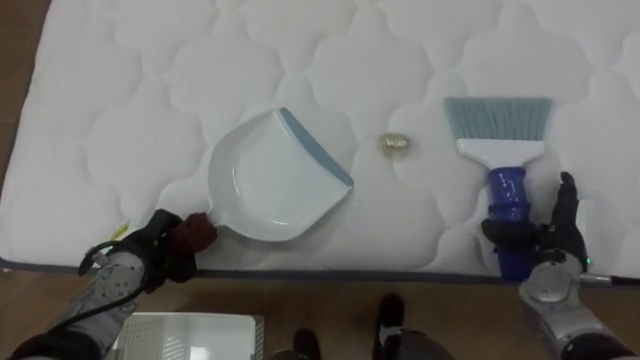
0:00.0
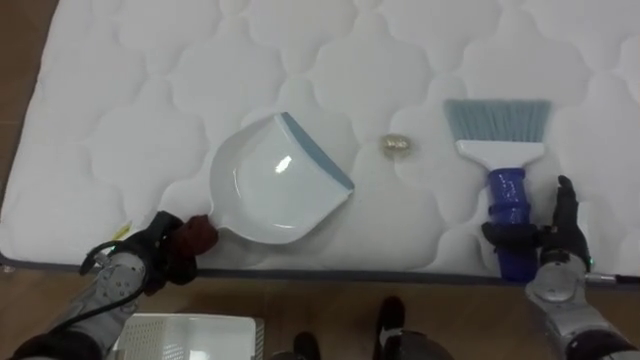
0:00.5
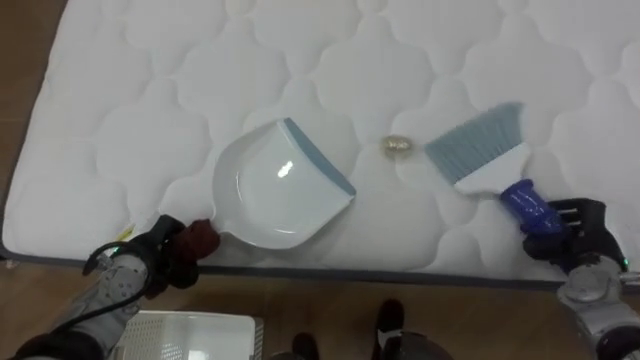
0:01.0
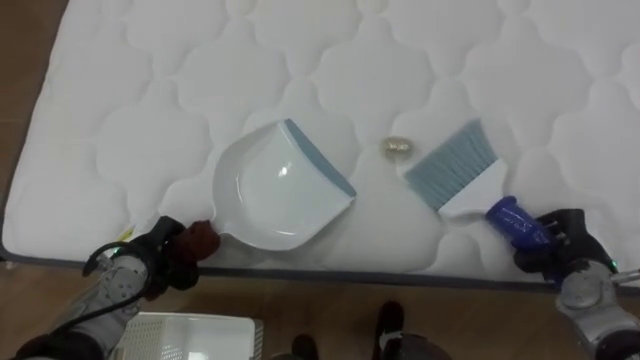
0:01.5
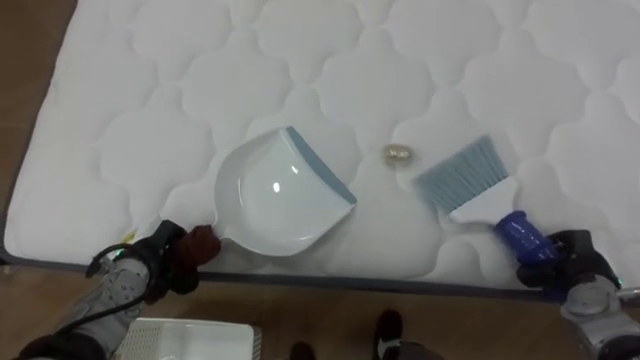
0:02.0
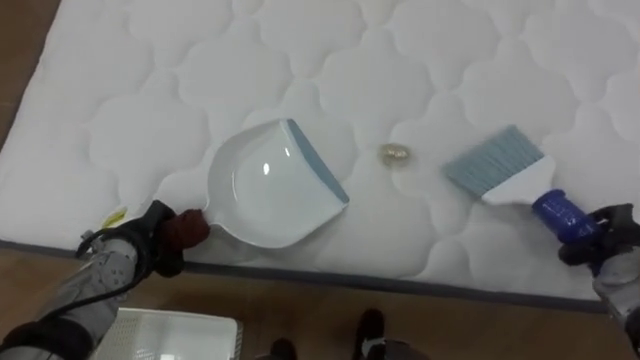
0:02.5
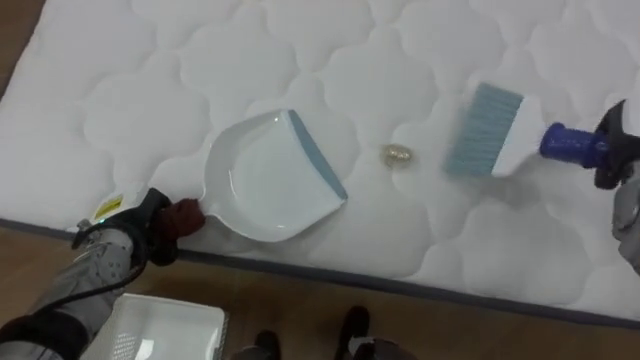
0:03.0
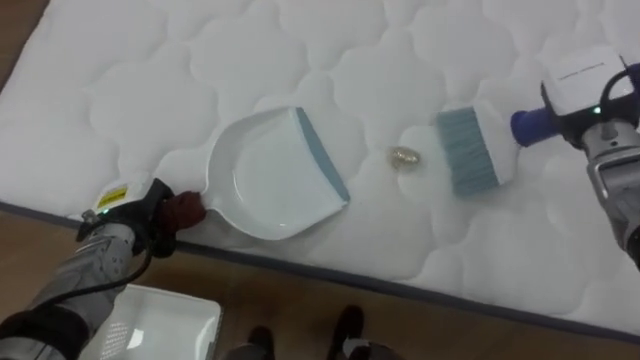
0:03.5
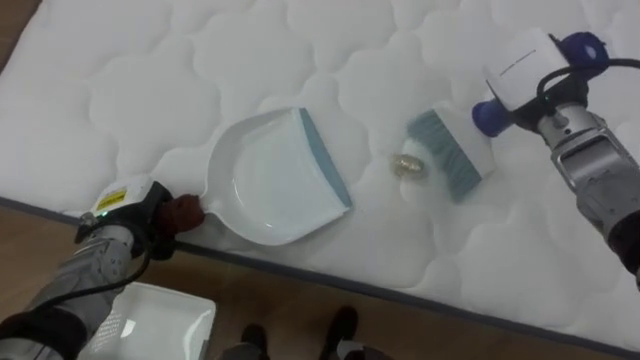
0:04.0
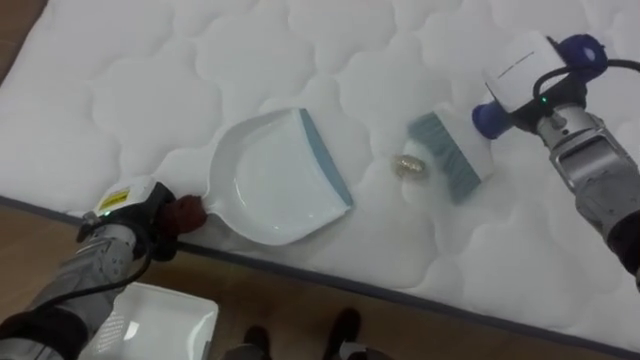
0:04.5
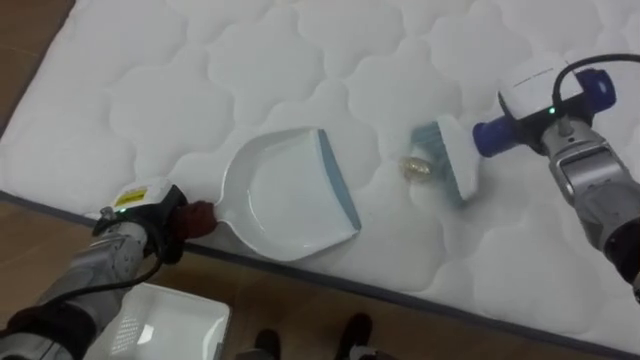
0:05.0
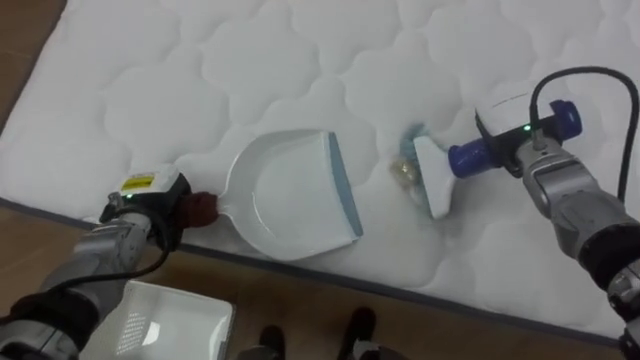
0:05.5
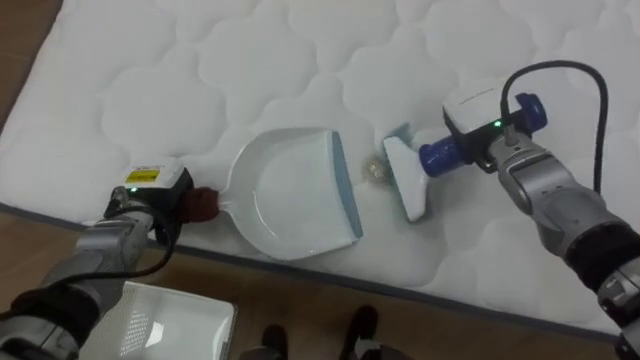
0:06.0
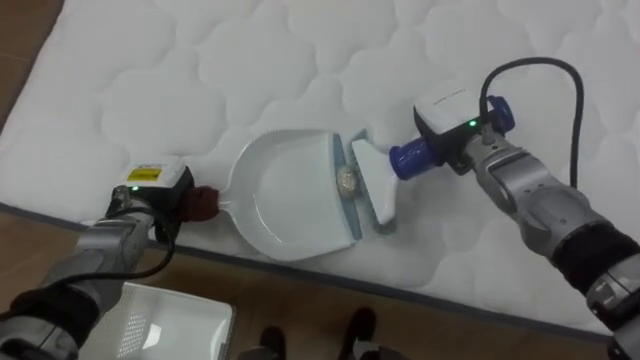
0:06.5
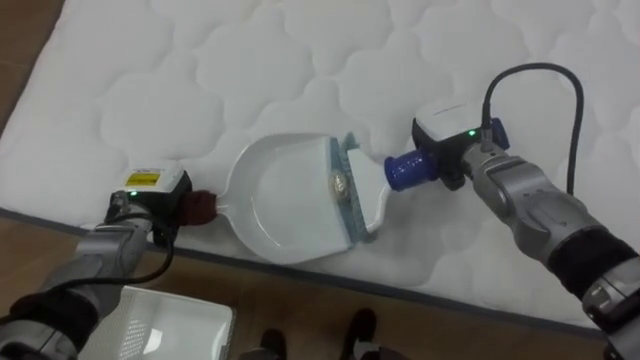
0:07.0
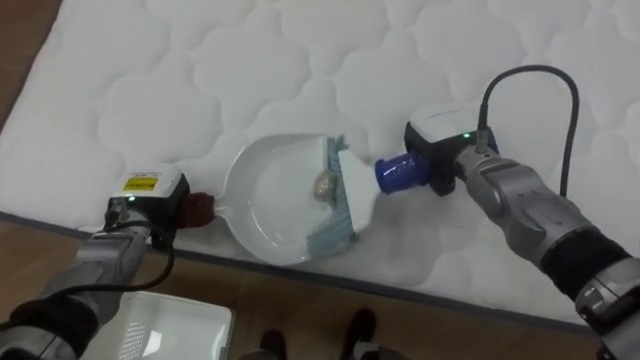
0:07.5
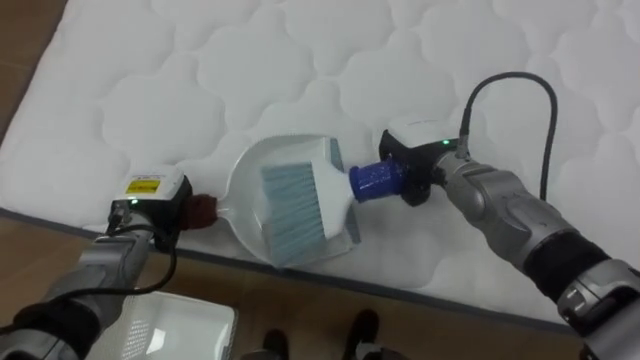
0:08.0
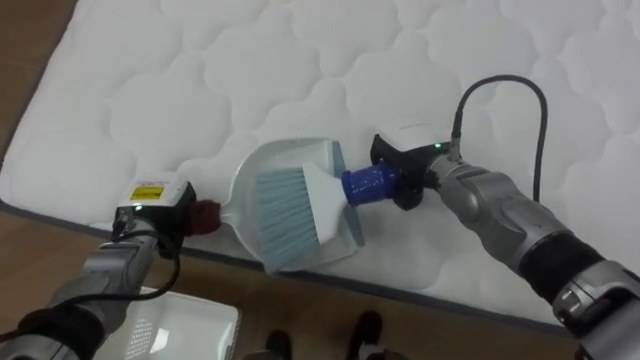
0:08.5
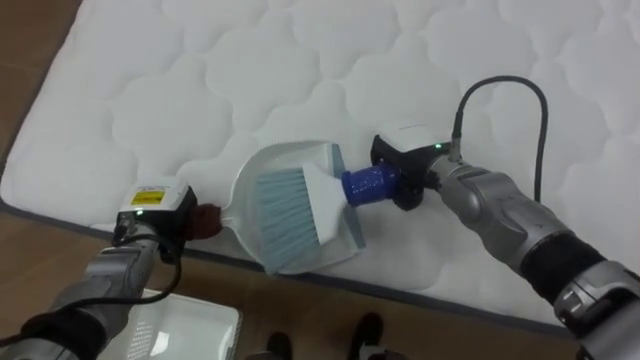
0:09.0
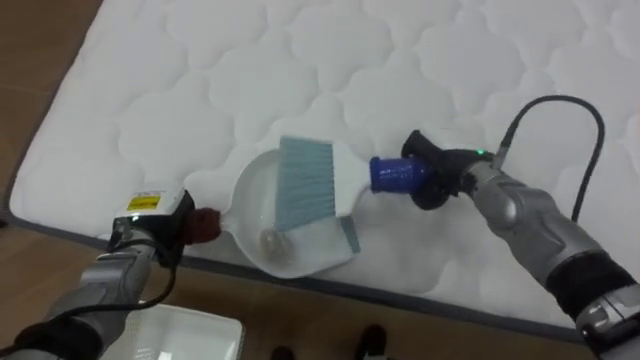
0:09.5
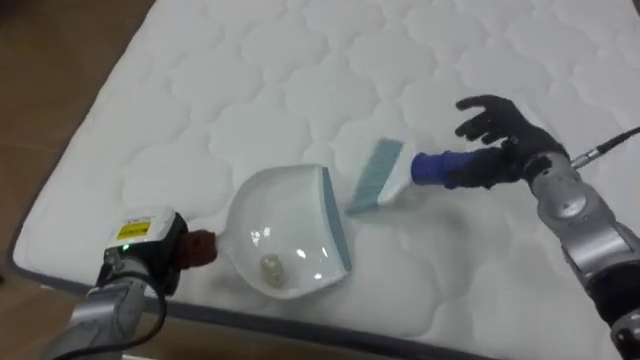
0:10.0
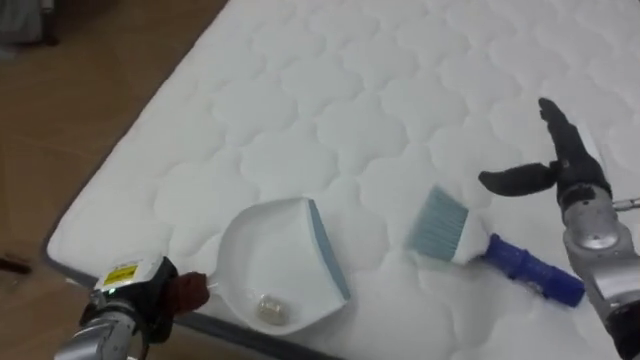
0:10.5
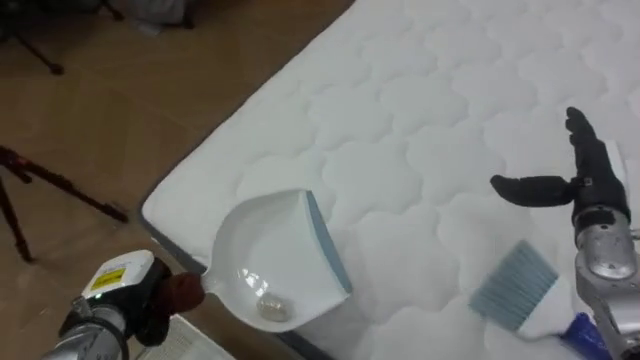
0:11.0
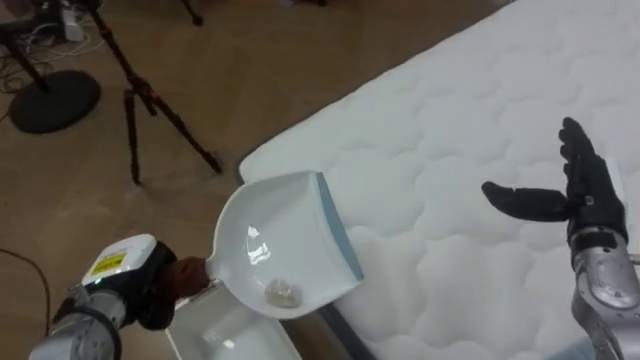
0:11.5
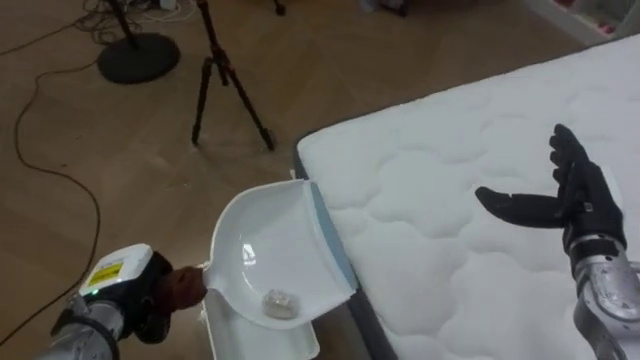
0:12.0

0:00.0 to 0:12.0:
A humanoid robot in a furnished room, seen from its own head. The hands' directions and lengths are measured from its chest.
Task of the whole recording: Pick up the brush on your right and the dustpan on your left. Use the brush to sweep the crumpled paper on the bed into the dustpan, then turn left and empty it into the basket.
0:00.0 to 0:02.0: The right hand ends up about 5 cm from where it was, and closes its fingers.
0:02.0 to 0:04.0: The left hand moves upward, about 5 cm.
0:04.0 to 0:06.0: The right hand is displaced downward by some 5 cm.
0:06.0 to 0:08.0: The right hand is displaced to the left by some 5 cm.
0:08.0 to 0:10.0: The right hand shifts some 15 cm to the right, and opens up. The left hand heads backward, covering roughly 5 cm.
0:10.0 to 0:12.0: The robot faces roughly 60 degrees further to its left. The right hand moves backward and to the right, some 10 cm. Meanwhile the left hand is displaced backward by roughly 5 cm.

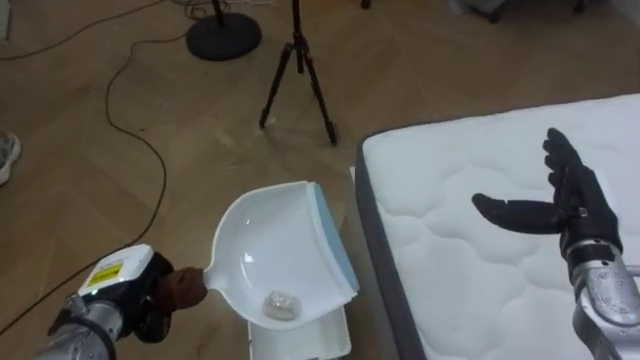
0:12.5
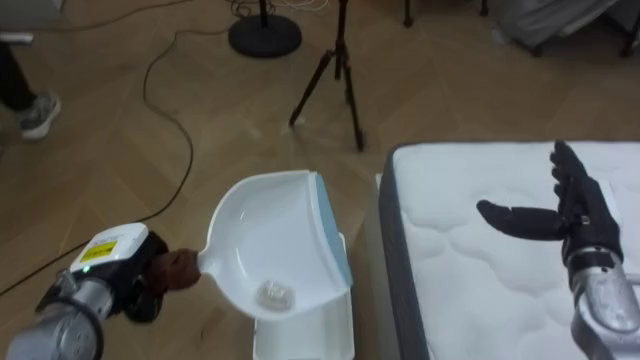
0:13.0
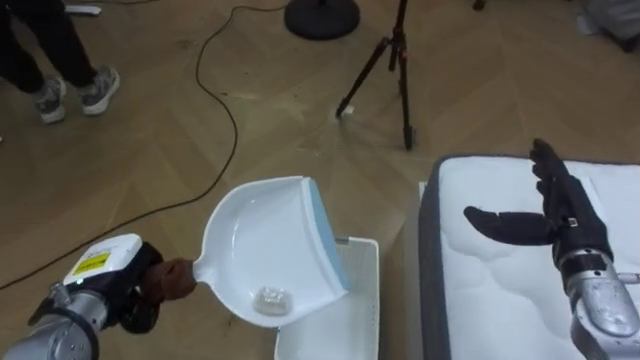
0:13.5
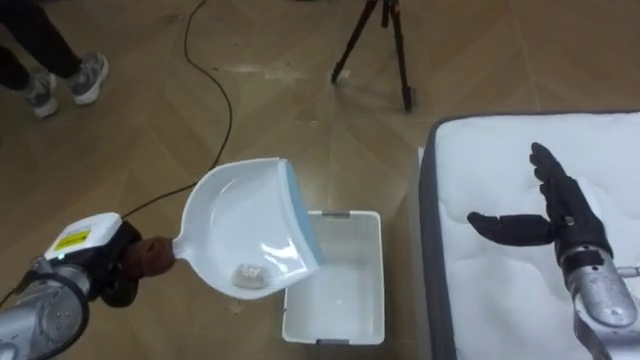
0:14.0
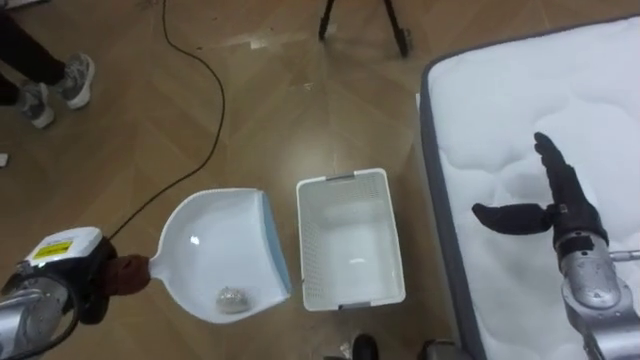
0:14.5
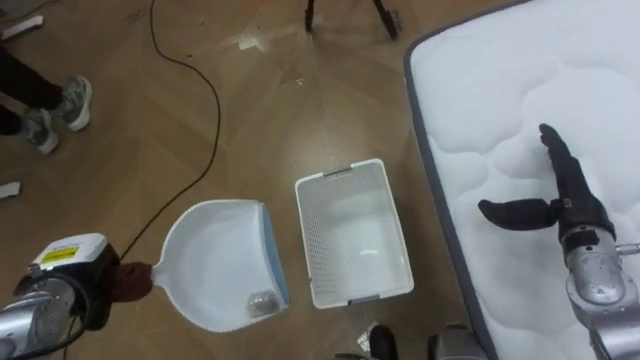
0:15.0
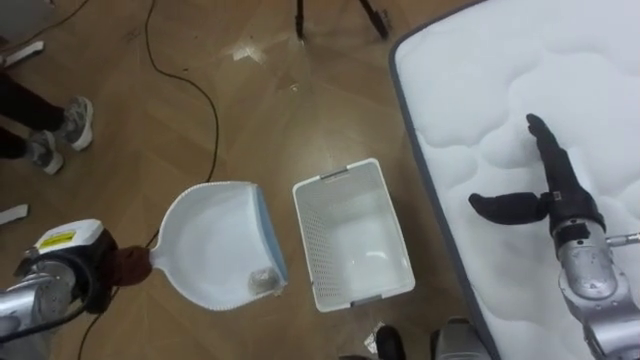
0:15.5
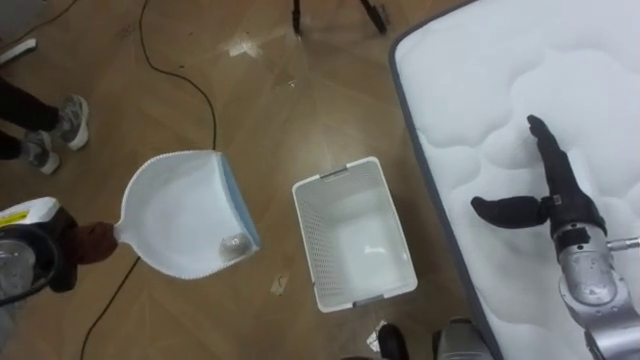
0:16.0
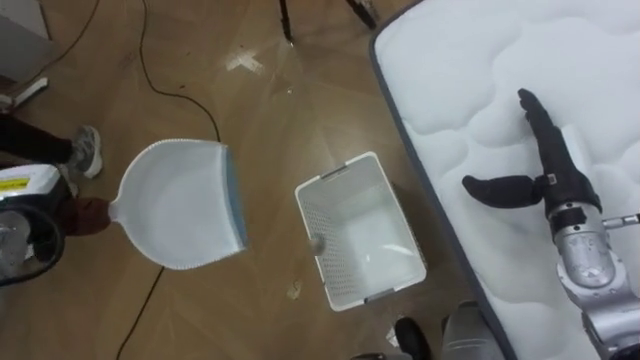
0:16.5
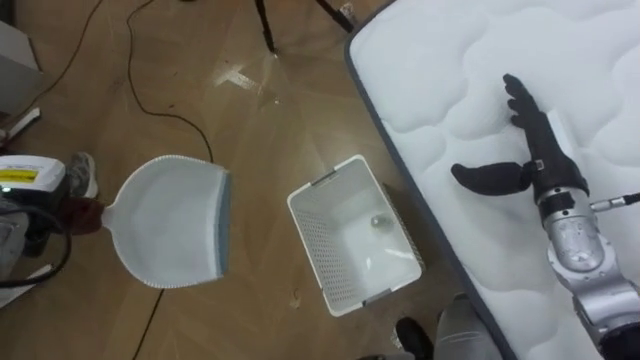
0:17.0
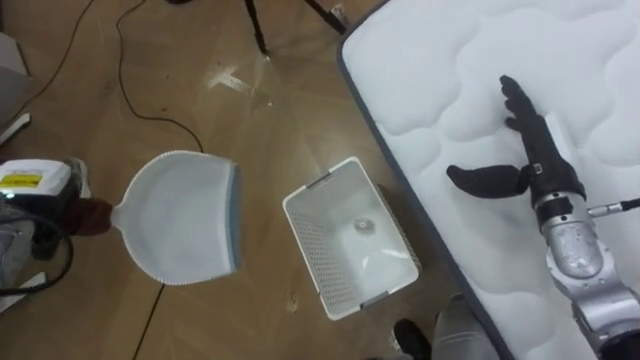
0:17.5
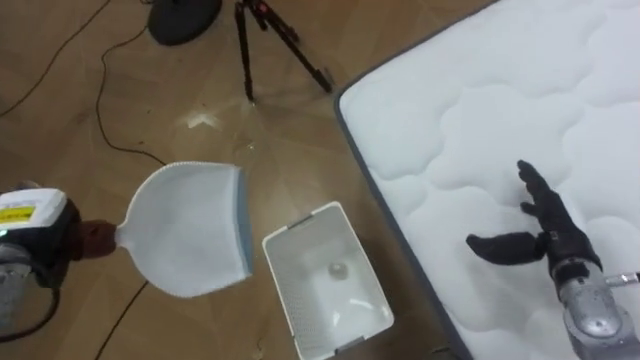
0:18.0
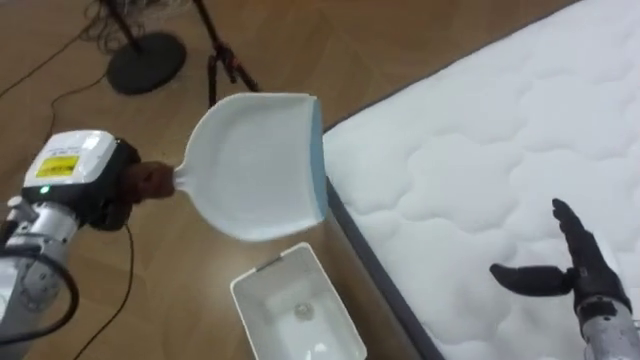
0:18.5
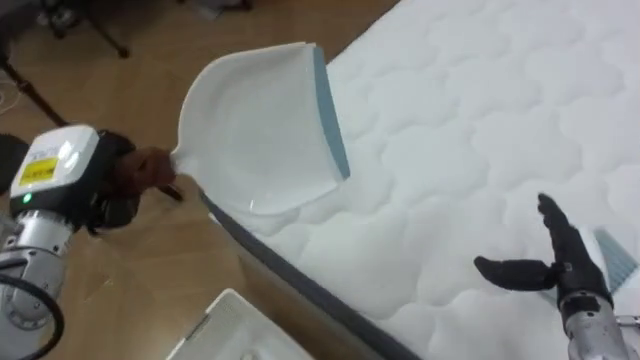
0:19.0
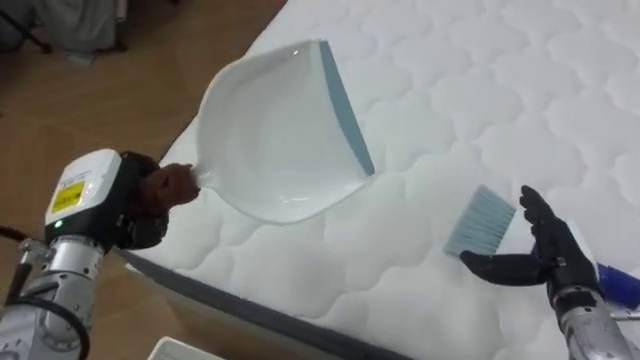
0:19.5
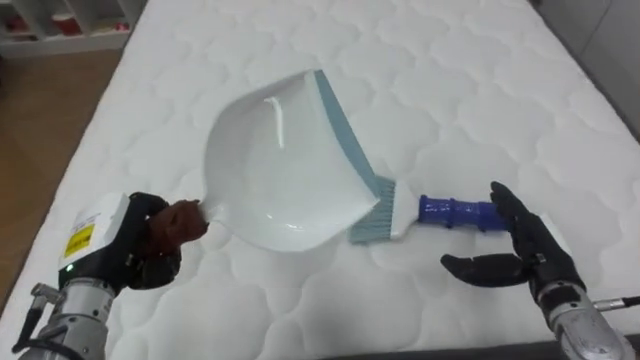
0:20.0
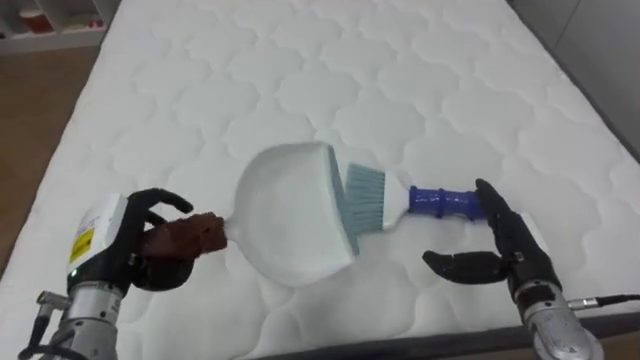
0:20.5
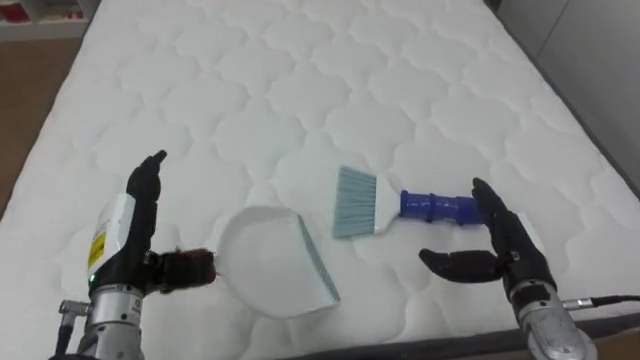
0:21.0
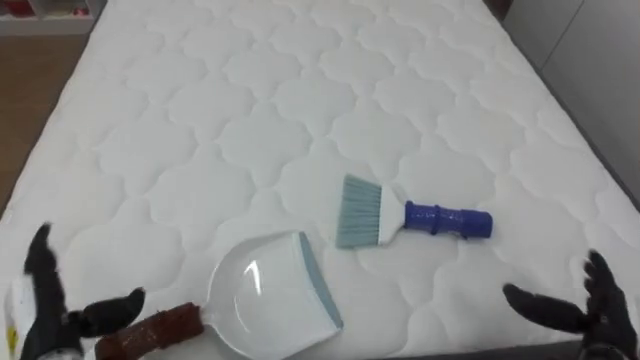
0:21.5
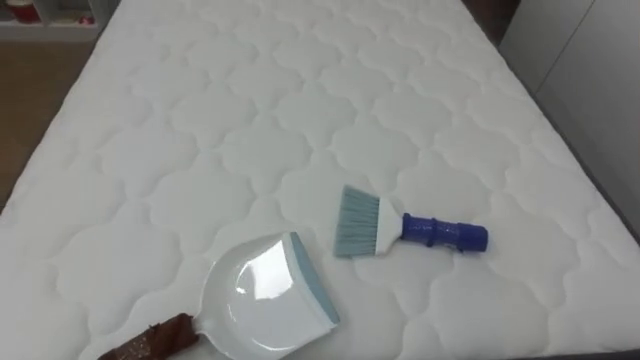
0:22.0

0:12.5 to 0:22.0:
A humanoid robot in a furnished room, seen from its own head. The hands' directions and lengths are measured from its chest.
Task of the whole recording: Pick up the brush on your right and the dustpan on your left. Use the brush to sweep the crumpled paper on the bed into the dustpan, then turn left and empty it into the basket.
0:12.5 to 0:14.5: The left hand moves to the left, roughly 5 cm.
0:14.5 to 0:16.5: The left hand moves upward and forward, about 10 cm.
0:16.5 to 0:18.0: The right hand travels downward by about 5 cm.
0:18.0 to 0:20.0: The robot faces roughly 80 degrees further to its right. The left hand heads to the right, covering approximately 10 cm.
